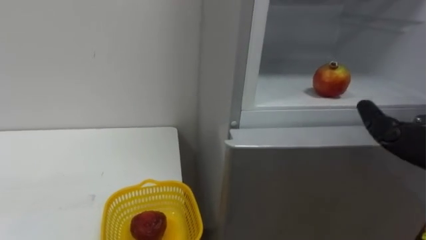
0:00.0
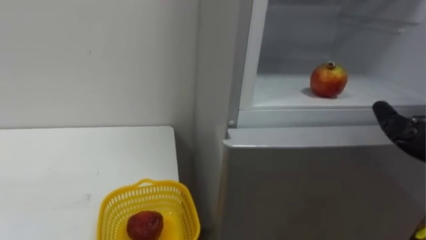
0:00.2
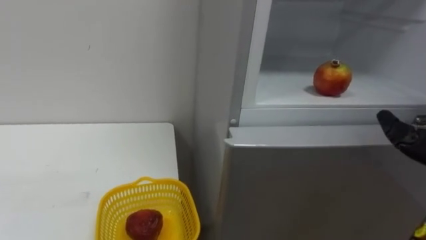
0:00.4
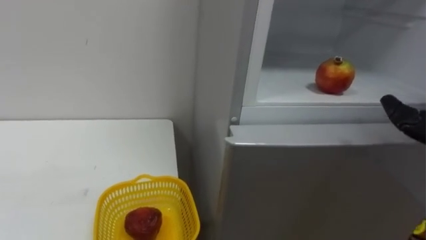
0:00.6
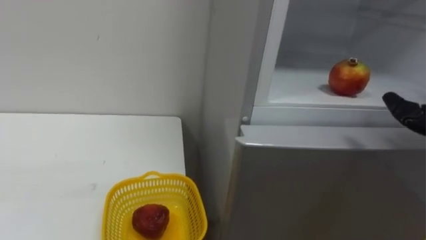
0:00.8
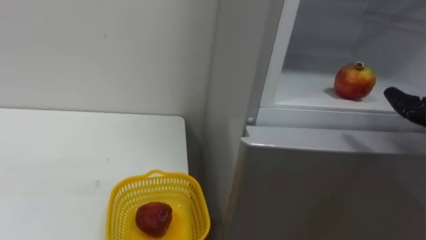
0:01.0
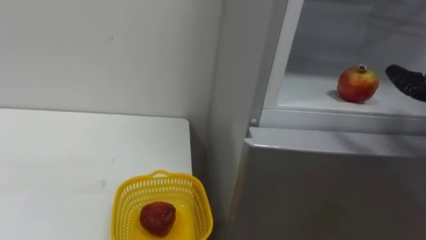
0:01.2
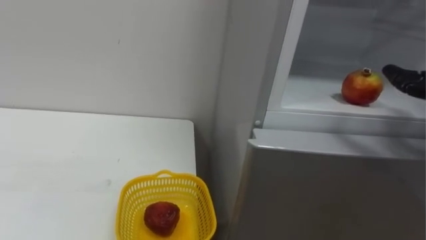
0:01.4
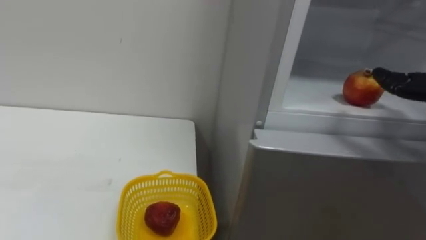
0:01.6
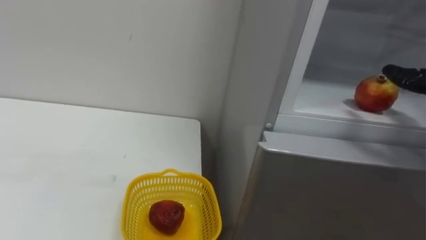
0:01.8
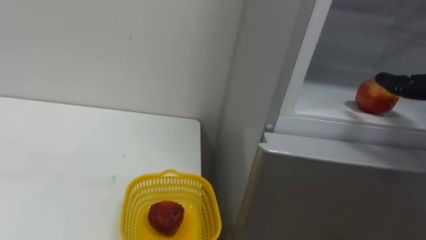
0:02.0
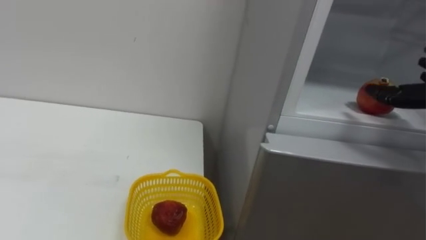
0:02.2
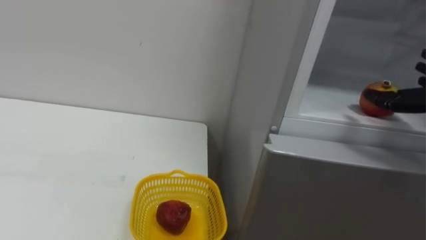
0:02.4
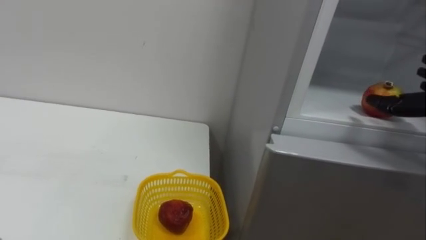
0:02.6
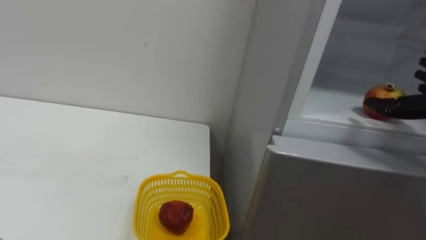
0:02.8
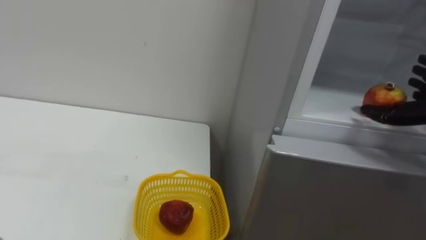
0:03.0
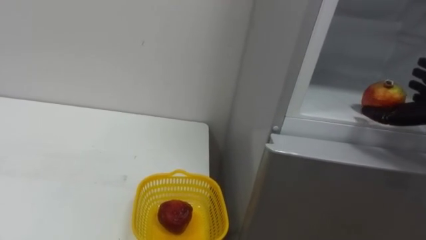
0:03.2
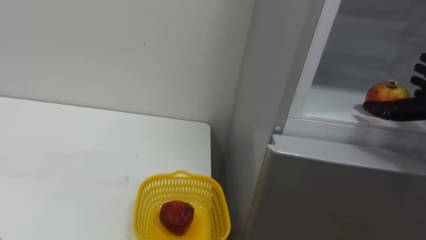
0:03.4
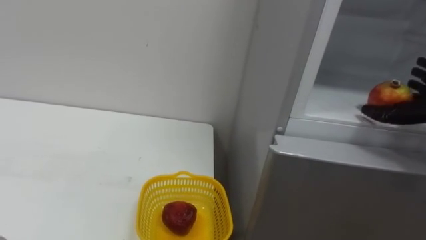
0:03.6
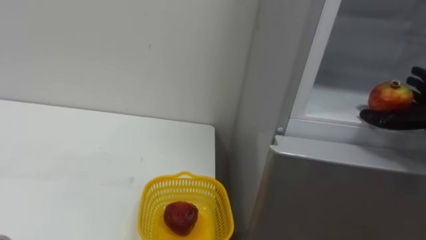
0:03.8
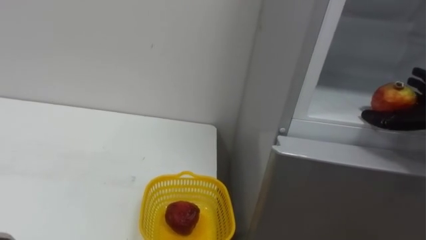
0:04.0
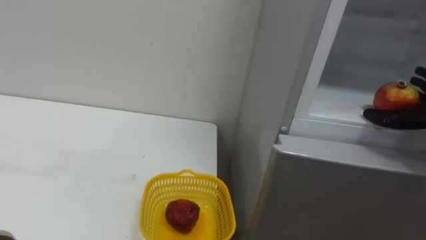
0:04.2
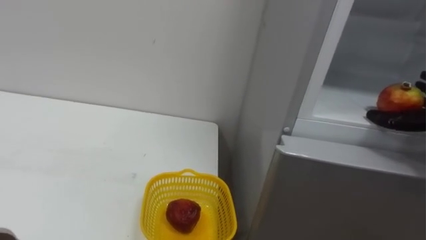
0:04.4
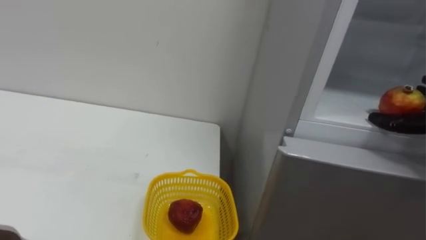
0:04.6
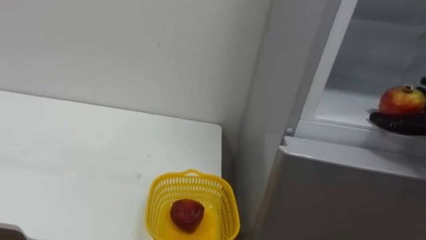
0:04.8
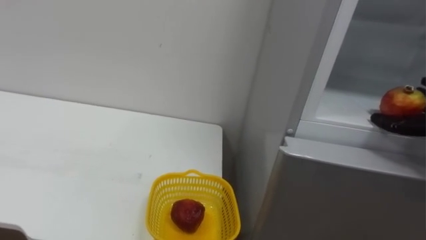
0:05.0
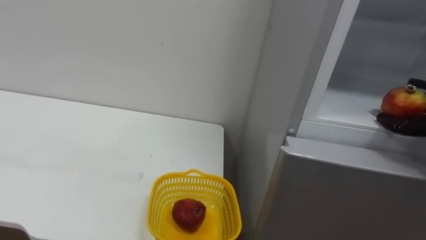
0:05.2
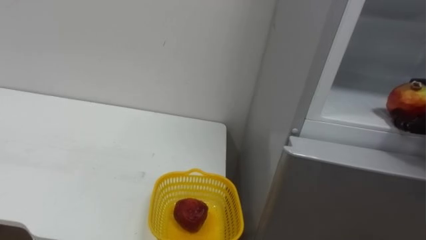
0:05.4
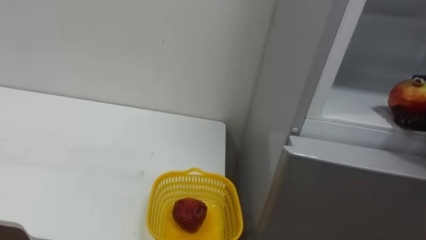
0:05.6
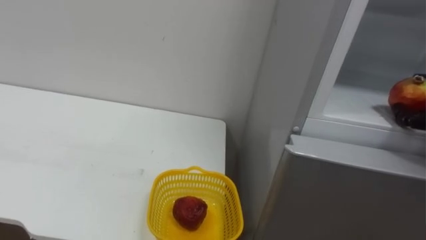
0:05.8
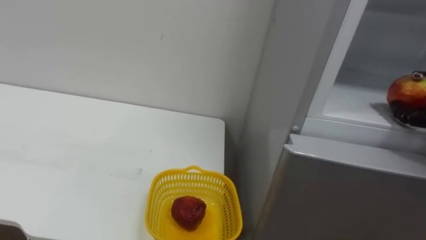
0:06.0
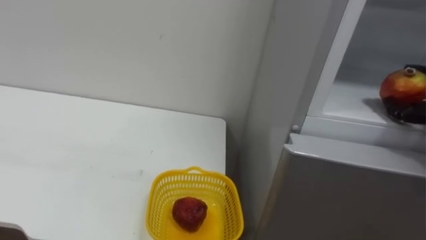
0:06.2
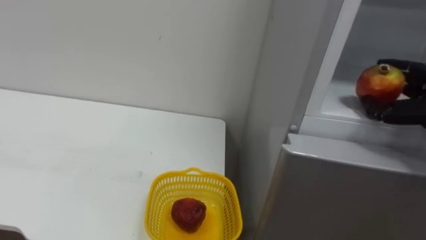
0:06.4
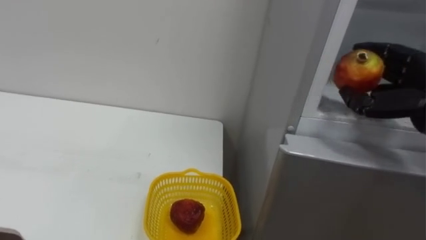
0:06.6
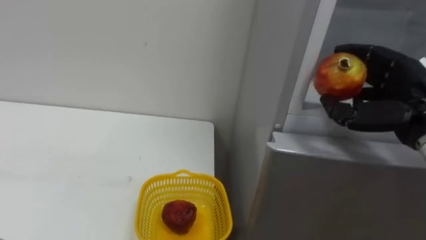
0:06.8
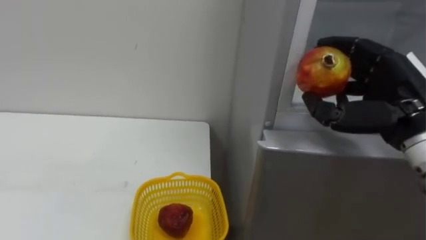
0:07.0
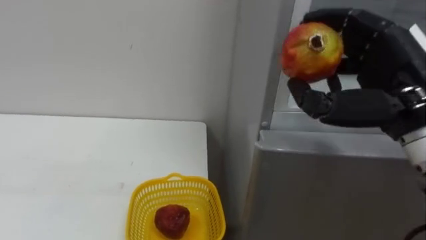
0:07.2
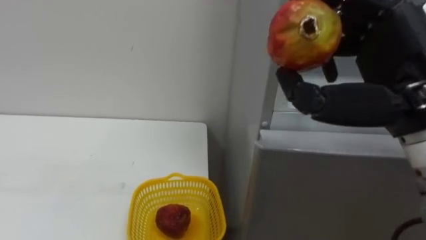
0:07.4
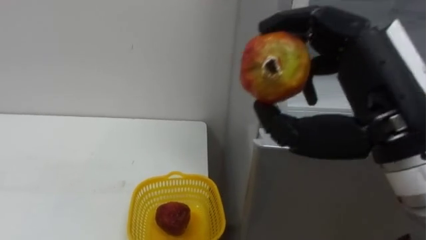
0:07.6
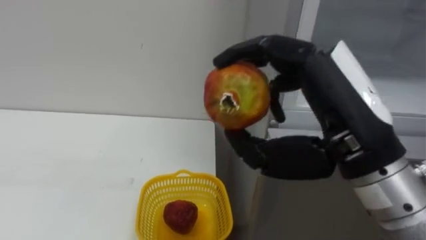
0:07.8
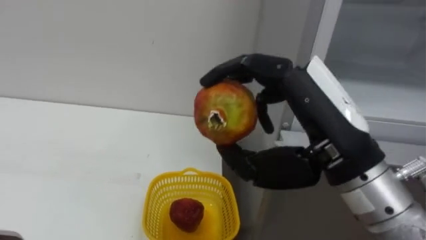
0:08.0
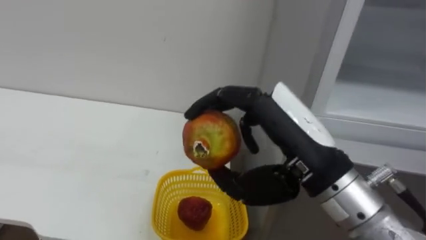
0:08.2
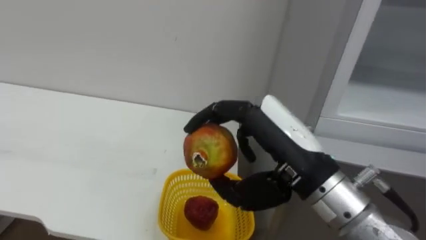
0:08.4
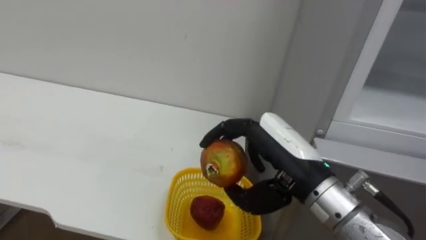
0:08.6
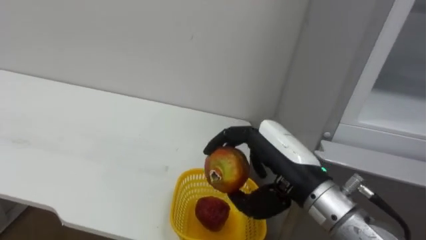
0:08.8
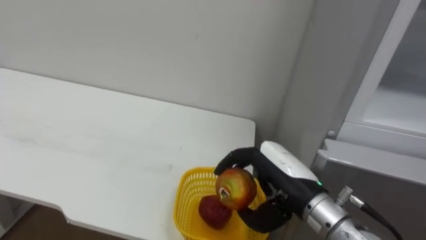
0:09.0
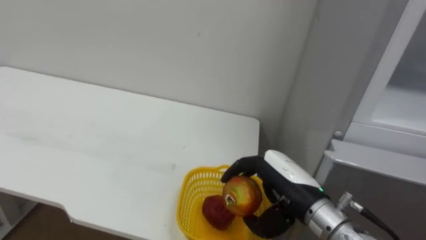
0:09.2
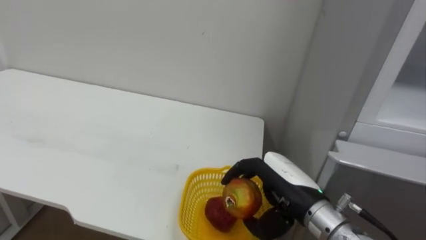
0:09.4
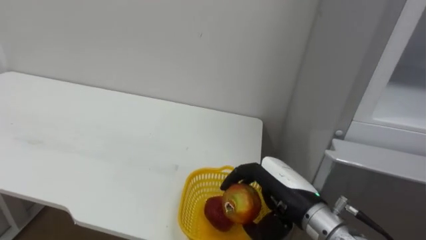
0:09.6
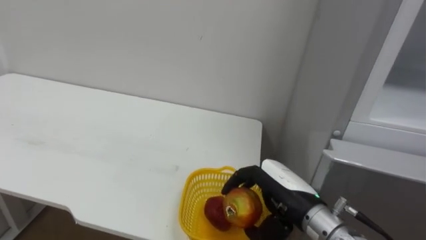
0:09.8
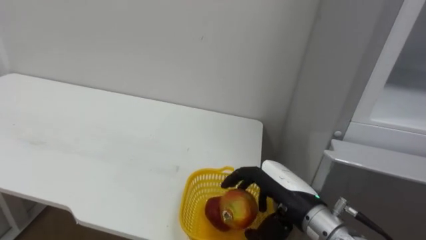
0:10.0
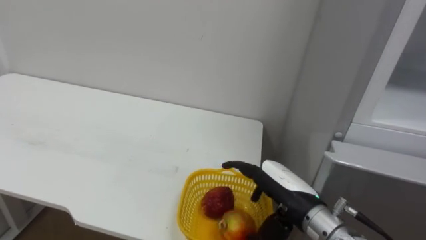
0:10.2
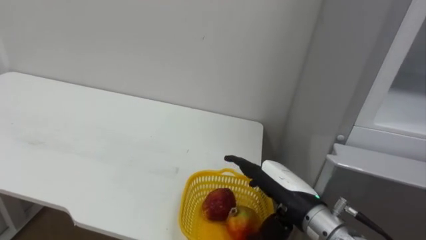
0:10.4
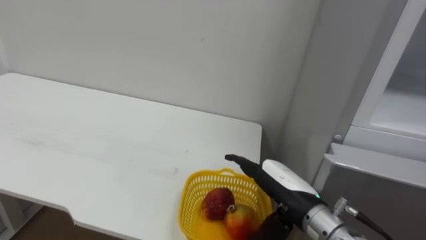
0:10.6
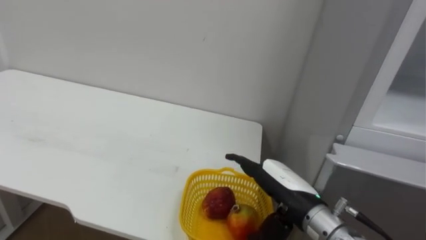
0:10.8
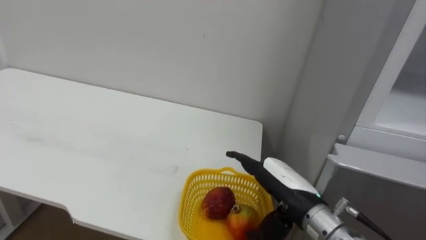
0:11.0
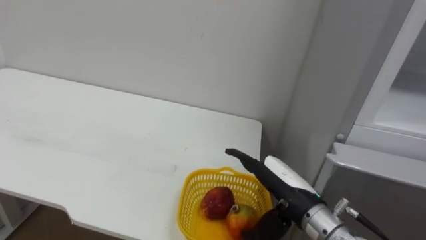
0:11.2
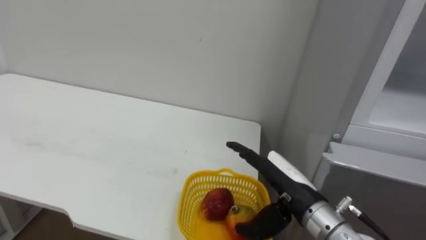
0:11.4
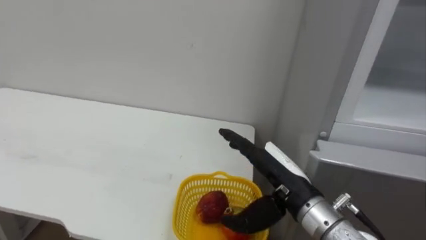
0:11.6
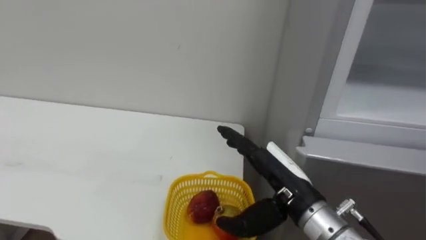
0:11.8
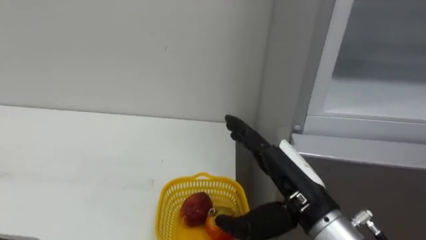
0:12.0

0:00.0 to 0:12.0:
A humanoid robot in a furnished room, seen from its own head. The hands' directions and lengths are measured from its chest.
Task of the whole recording: Open the refrigerator door, take out the apple and the pomegranate, place them in the fruit basket on the left, and close the refrigerator door.
0:07.6 to 0:09.0: The right hand heads downward and forward, covering about 20 cm.
0:09.0 to 0:10.4: The right hand opens.
0:10.4 to 0:12.0: The right hand shifts approximately 5 cm upward.

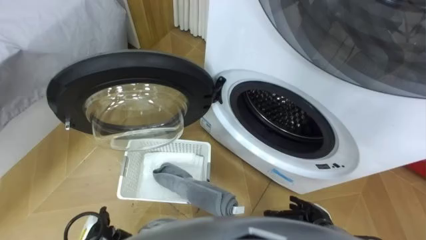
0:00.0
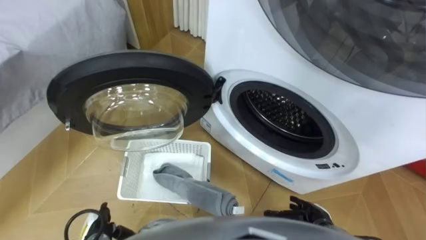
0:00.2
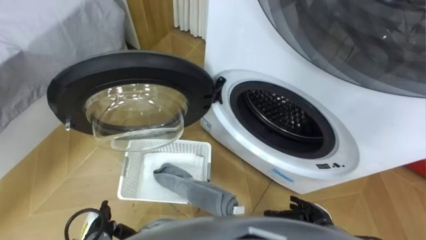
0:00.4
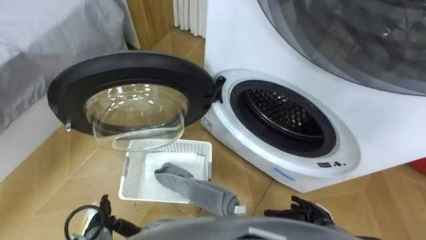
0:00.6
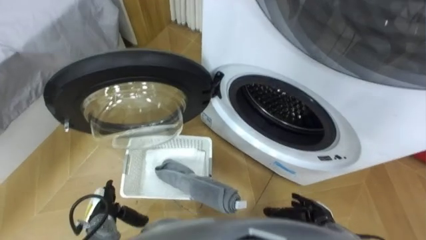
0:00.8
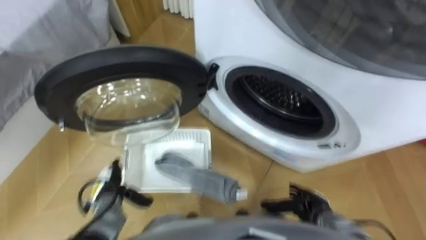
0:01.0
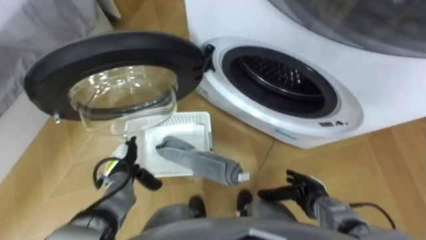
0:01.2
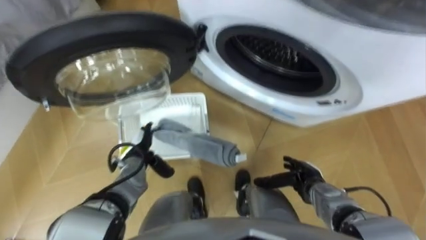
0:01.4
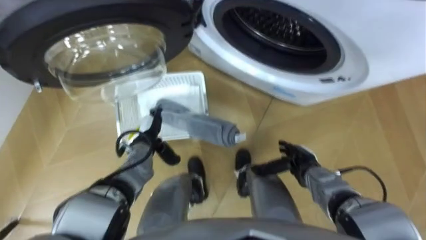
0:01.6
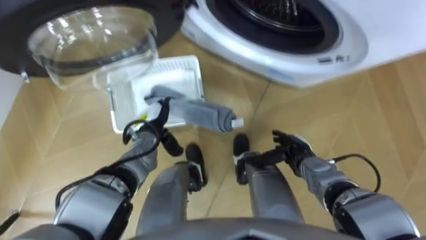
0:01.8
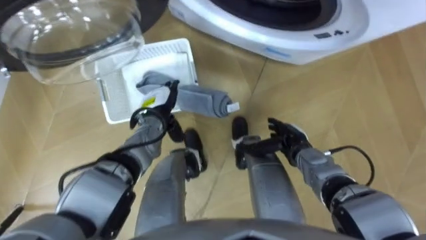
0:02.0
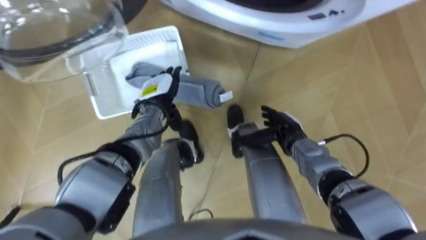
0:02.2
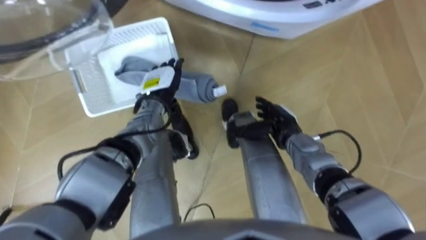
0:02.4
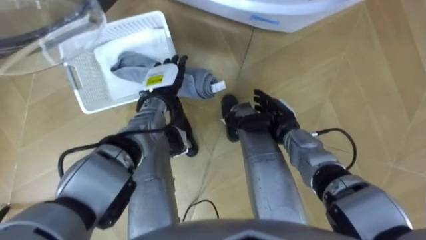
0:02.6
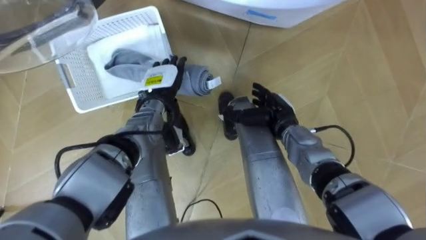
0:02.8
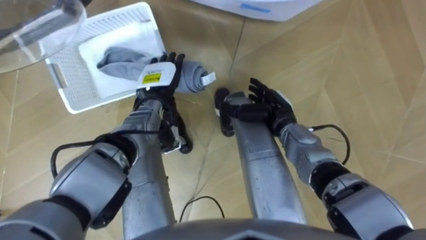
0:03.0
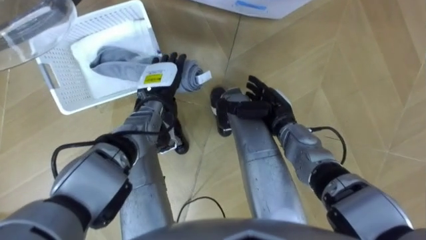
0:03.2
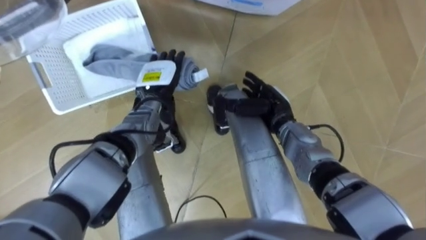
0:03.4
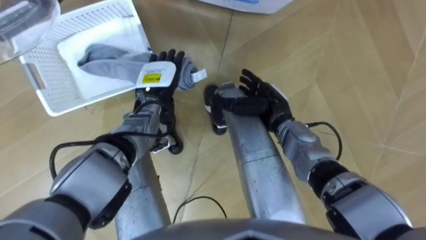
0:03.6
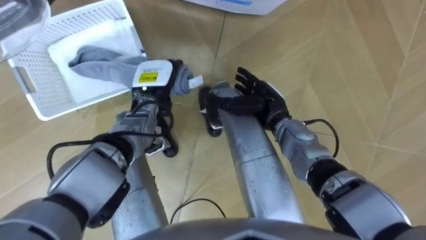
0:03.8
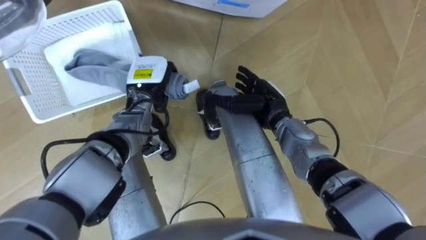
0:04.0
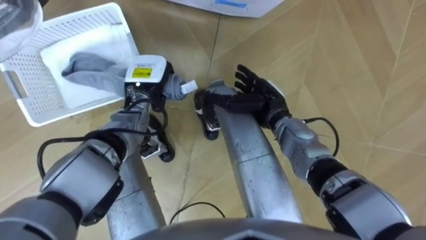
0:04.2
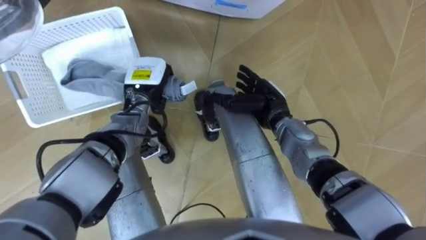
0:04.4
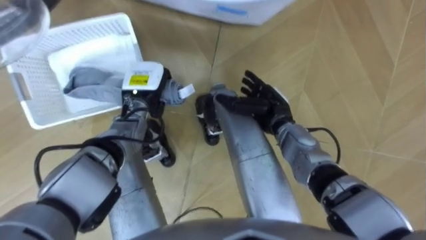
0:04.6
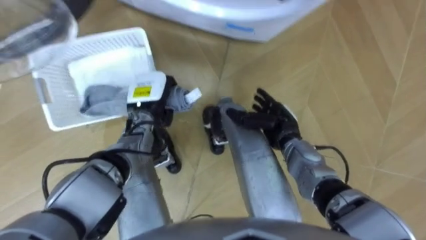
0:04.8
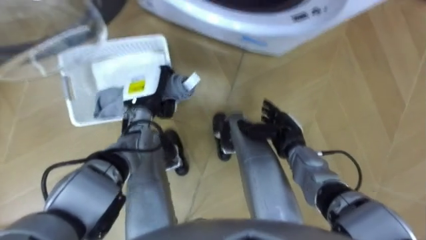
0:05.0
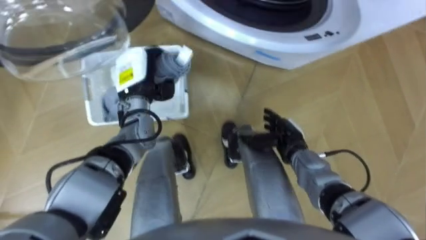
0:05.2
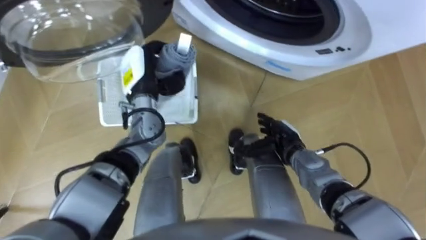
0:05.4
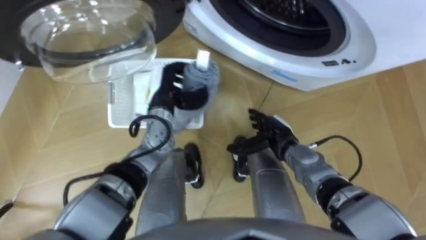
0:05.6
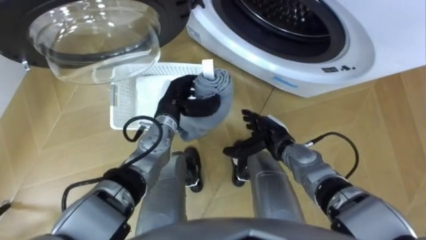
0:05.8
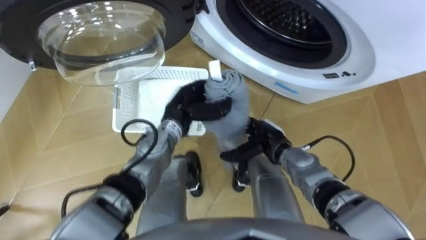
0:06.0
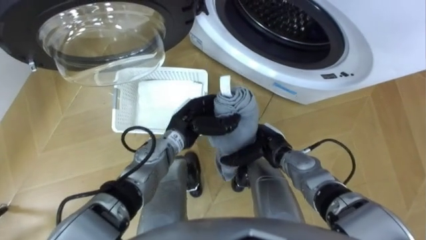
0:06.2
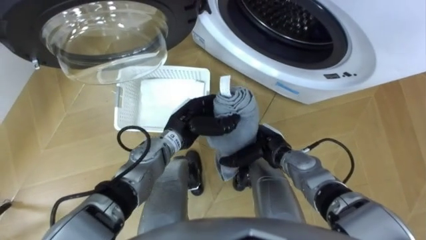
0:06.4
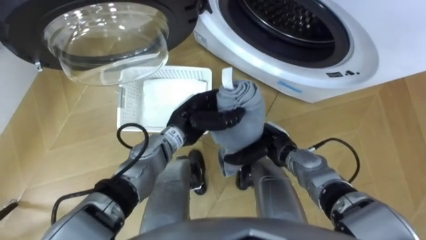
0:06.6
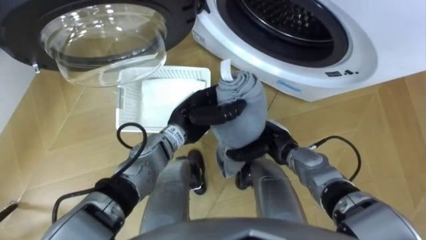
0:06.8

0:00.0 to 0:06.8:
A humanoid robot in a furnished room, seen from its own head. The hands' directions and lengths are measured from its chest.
Task of the whole recording: Take the towel from the basket and put it into the washing machine.
0:01.4 to 0:02.8: The right hand is displaced forward, upward and to the left by some 15 cm; the left hand goes some 15 cm forward, upward and to the right.
0:02.8 to 0:04.0: The left hand closes up.
0:04.0 to 0:05.4: The right hand travels backward and downward by some 10 cm.
0:05.4 to 0:06.8: The left hand shifts approximately 15 cm to the right and backward.
